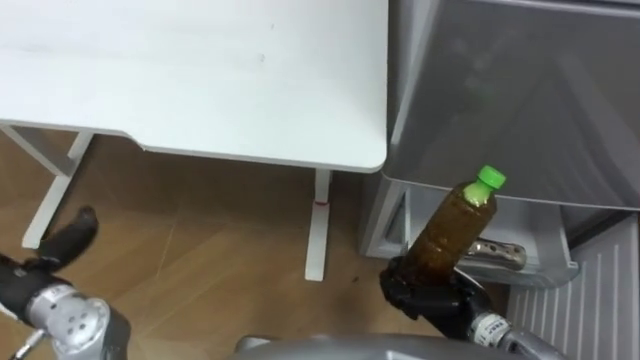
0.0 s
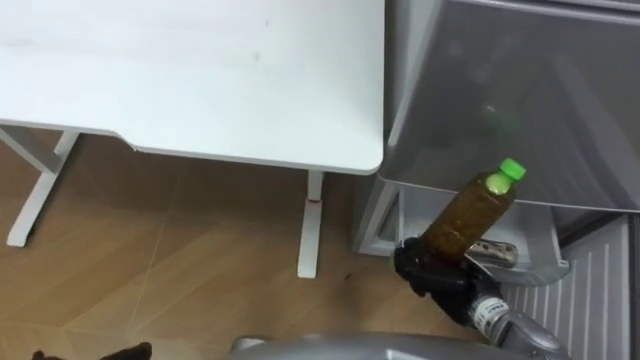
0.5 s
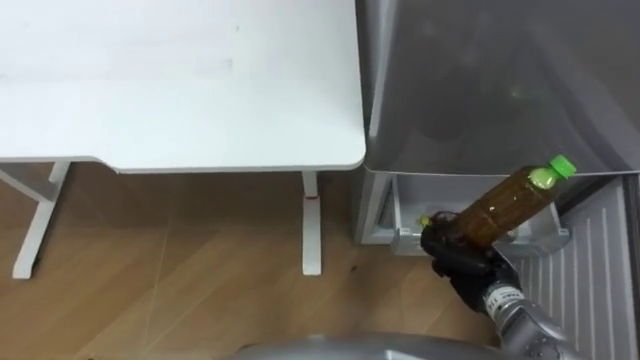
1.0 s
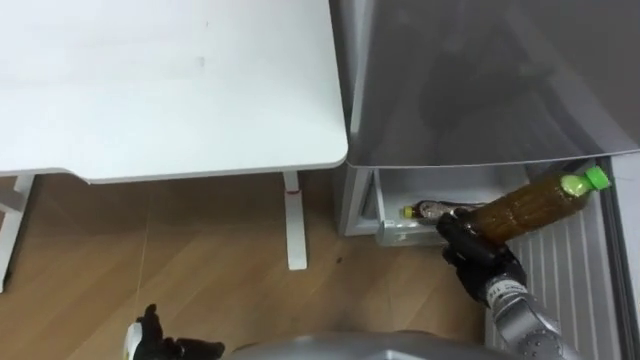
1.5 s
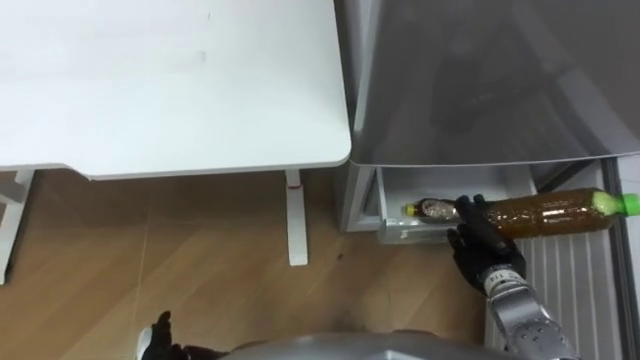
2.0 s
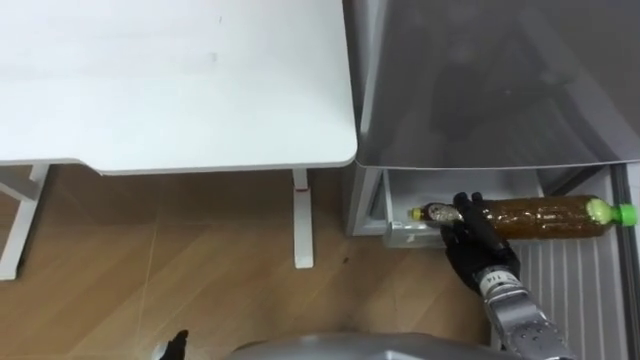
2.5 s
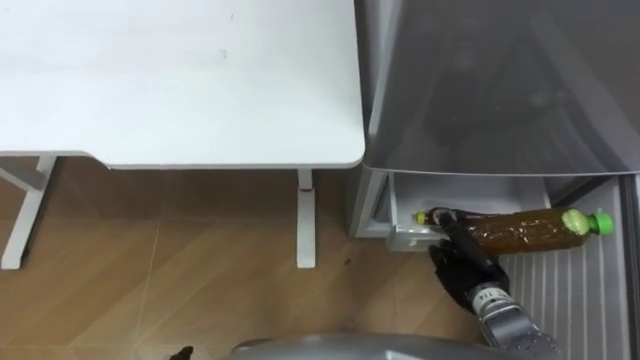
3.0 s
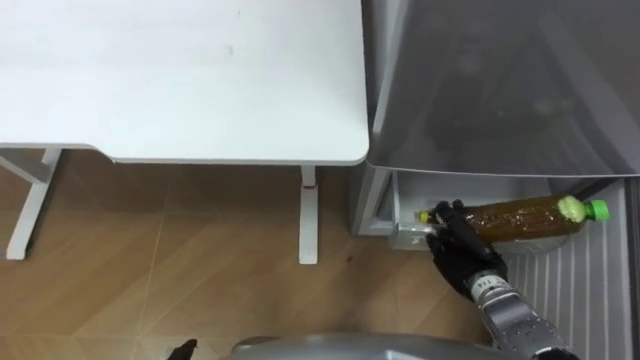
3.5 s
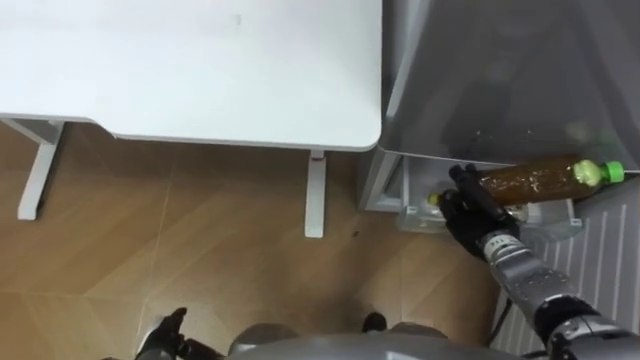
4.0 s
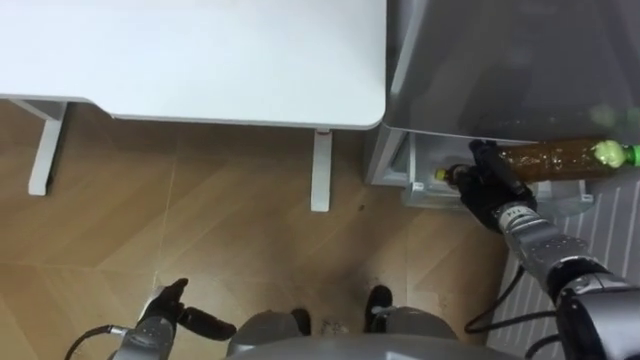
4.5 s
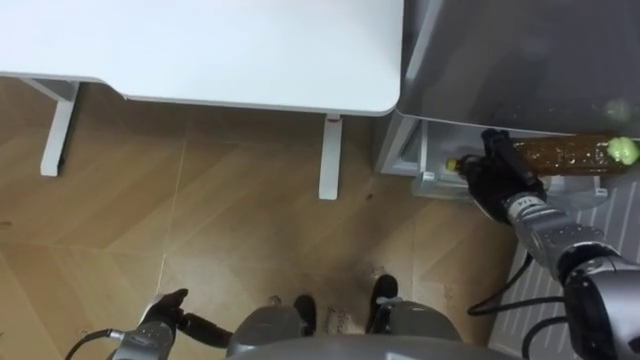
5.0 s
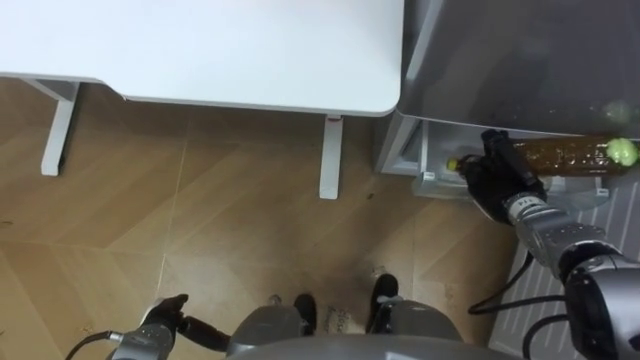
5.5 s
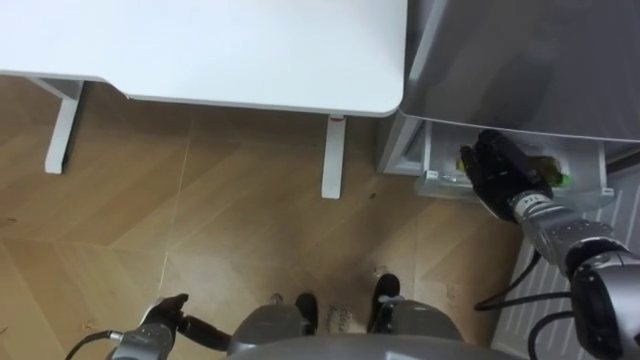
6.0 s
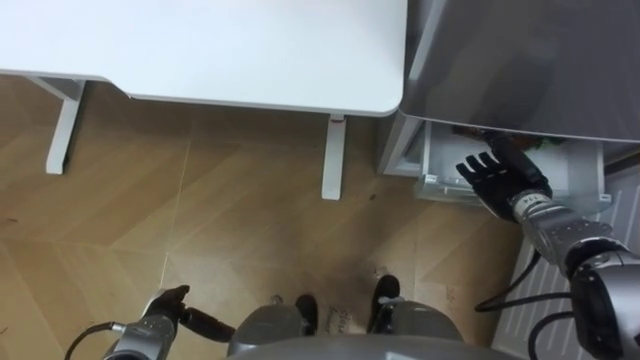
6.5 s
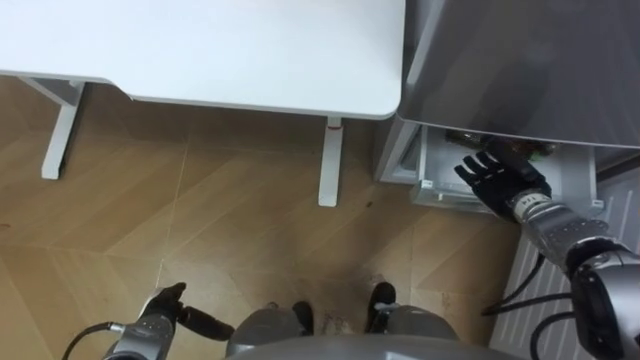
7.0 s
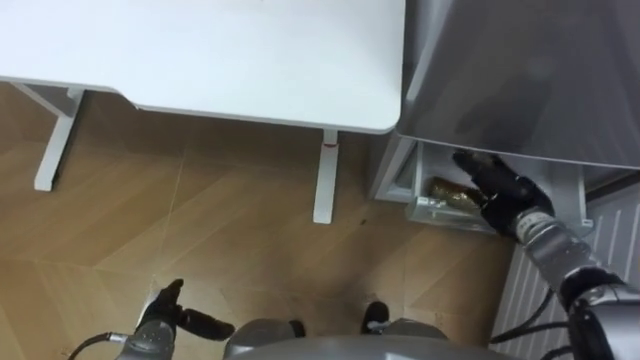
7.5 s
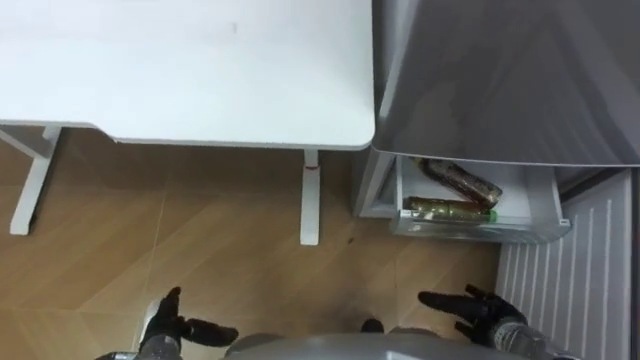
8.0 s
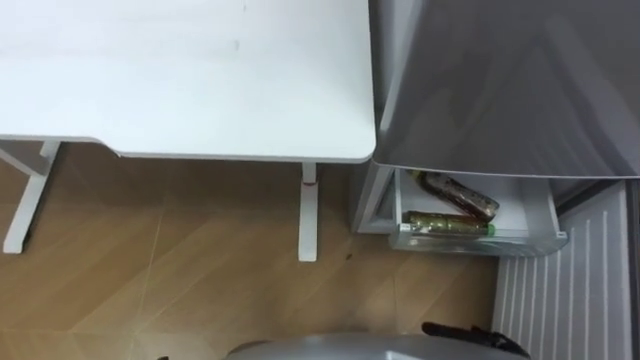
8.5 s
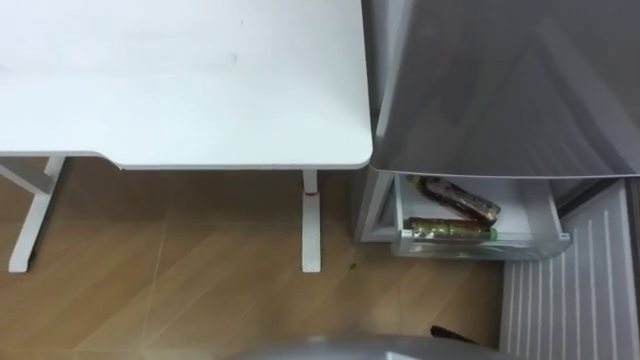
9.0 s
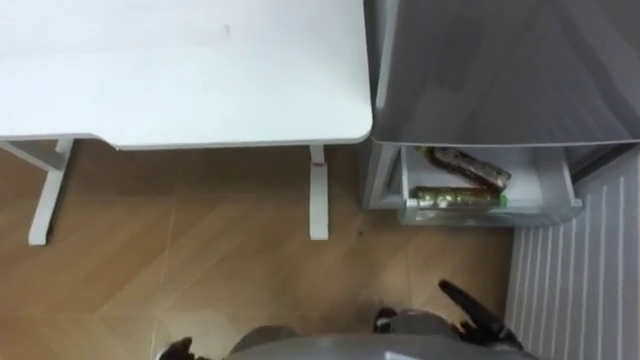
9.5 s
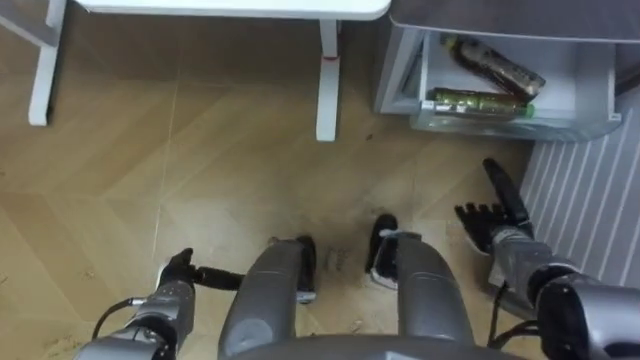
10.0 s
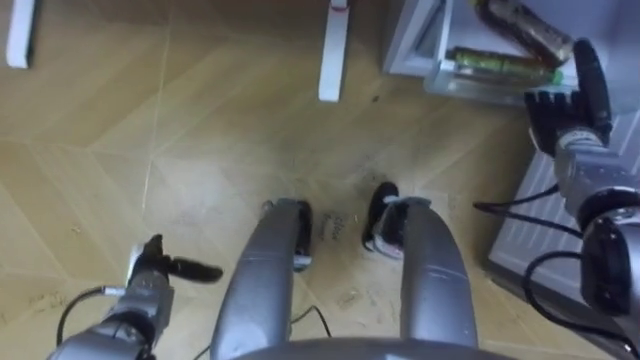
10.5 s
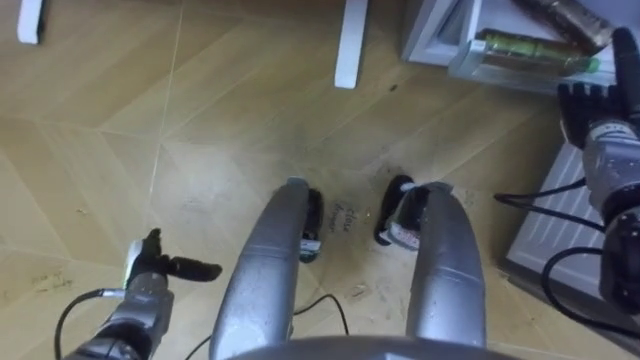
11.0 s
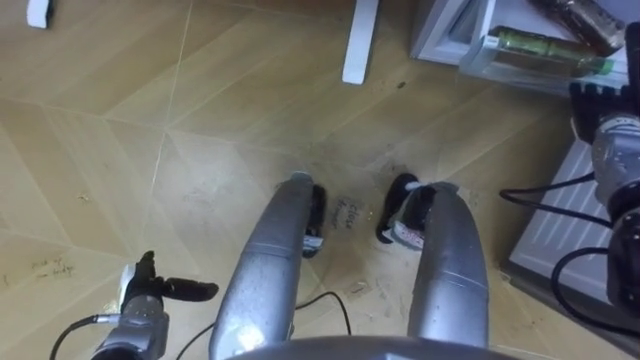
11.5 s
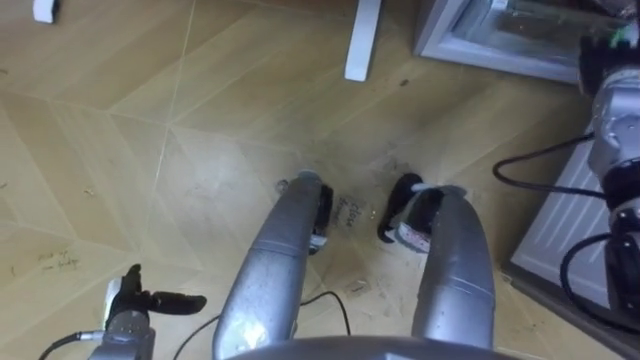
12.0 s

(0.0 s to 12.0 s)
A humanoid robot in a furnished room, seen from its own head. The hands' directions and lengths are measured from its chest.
Task of the whole recording: Place the drink on the table on the bottom shelf of the refrigerator, then close the drawer and the refrigerator door.
0.0 s - 2.0 s: The right hand is displaced to the right and forward by approximately 10 cm.
4.0 s - 6.0 s: The right hand moves forward, approximately 5 cm, and opens its fingers.
6.0 s - 8.0 s: The right hand travels backward and downward by about 20 cm.
10.0 s - 12.0 s: The right hand is displaced upward, forward and to the right by some 25 cm. The left hand is displaced to the left by some 5 cm.

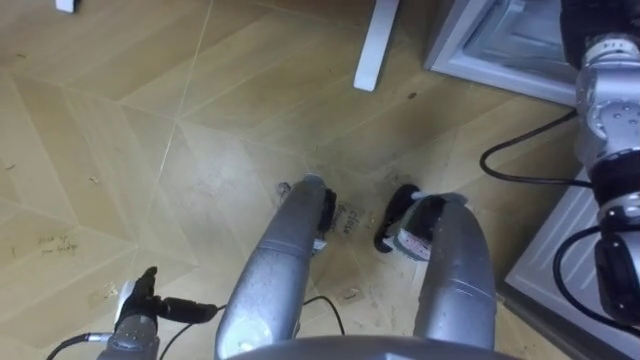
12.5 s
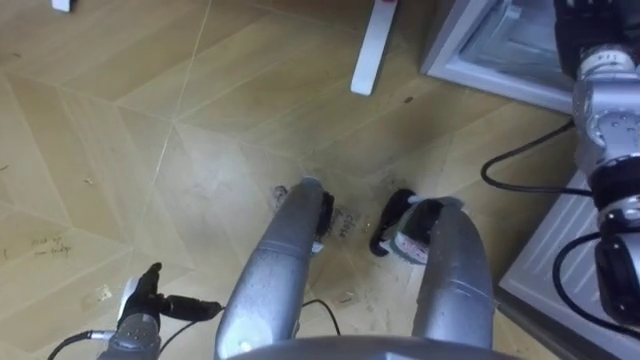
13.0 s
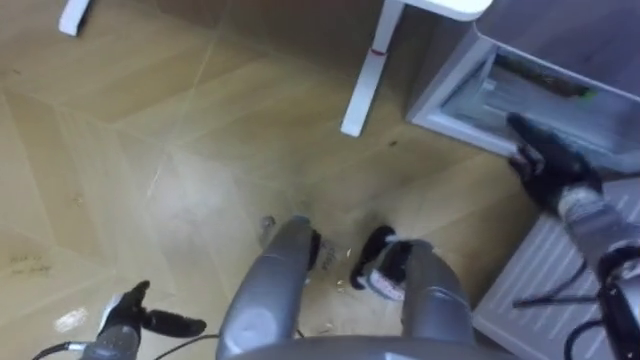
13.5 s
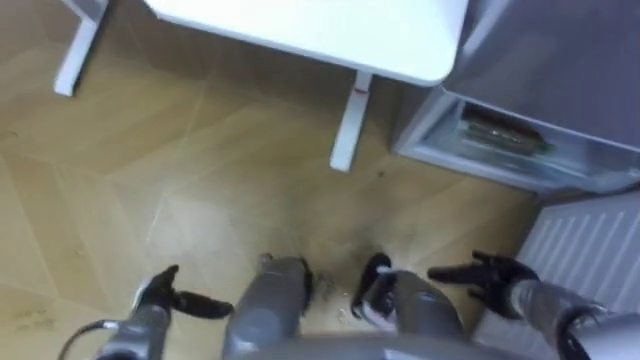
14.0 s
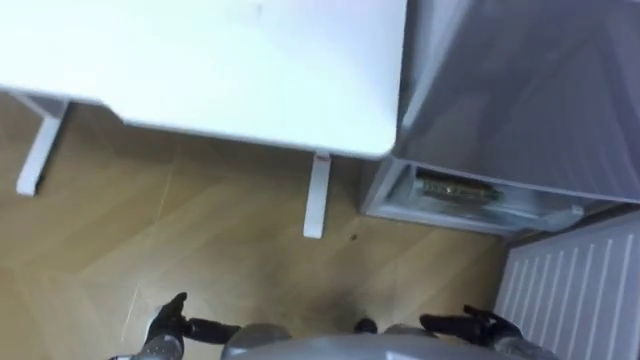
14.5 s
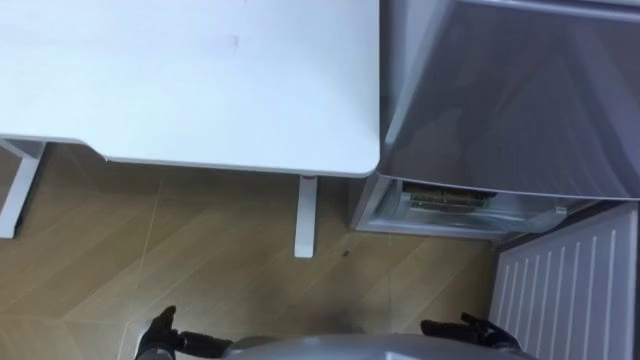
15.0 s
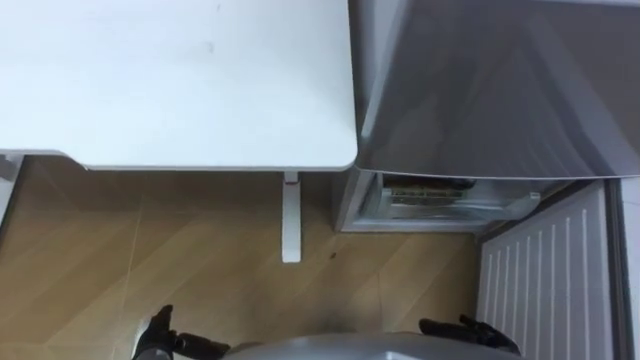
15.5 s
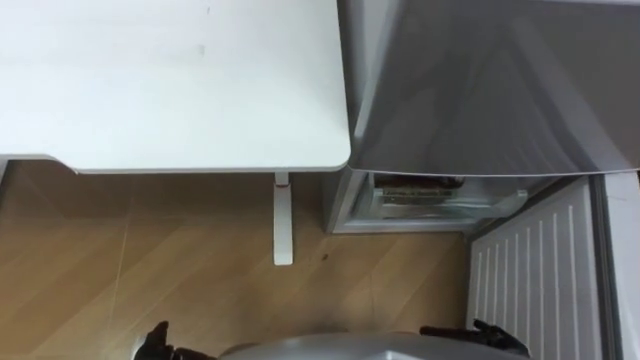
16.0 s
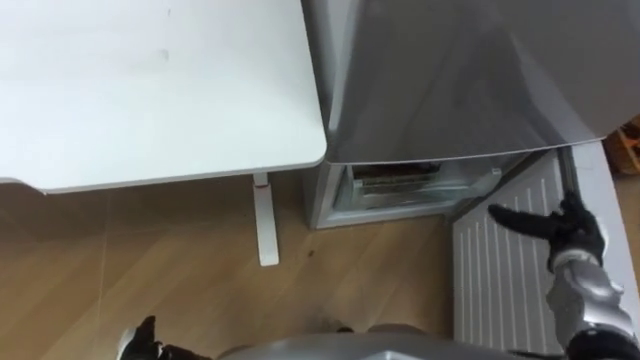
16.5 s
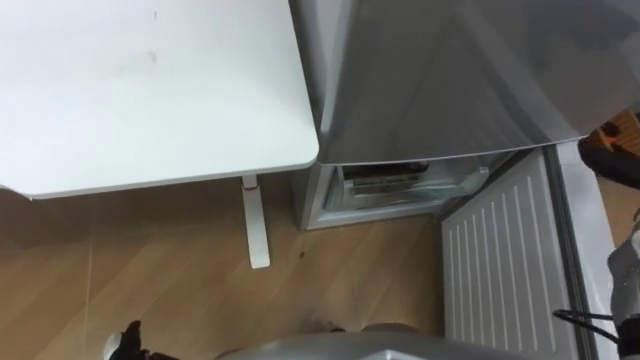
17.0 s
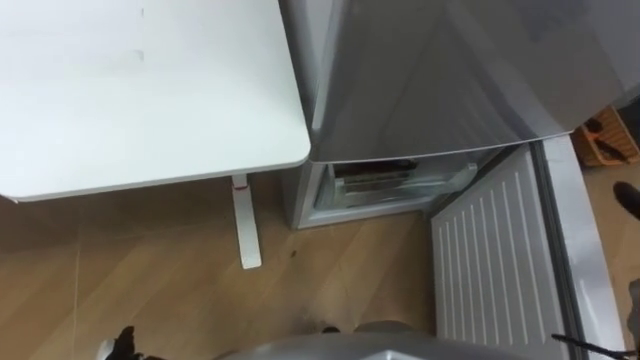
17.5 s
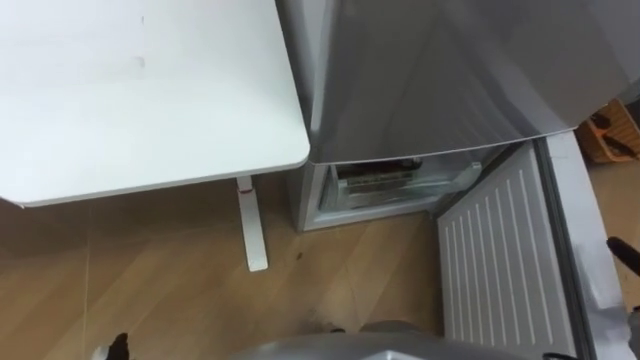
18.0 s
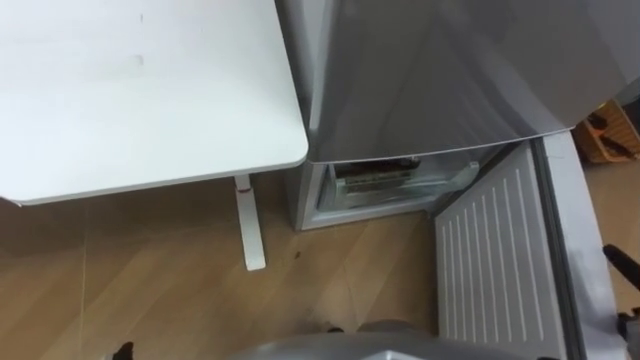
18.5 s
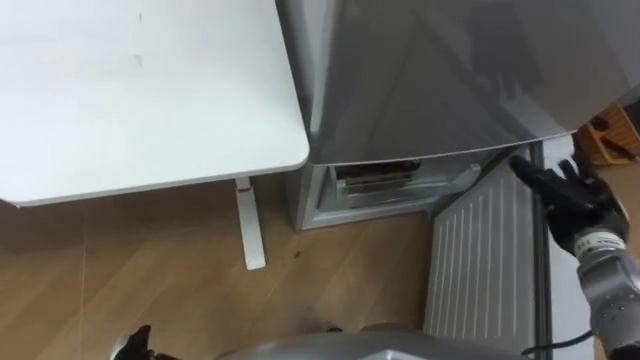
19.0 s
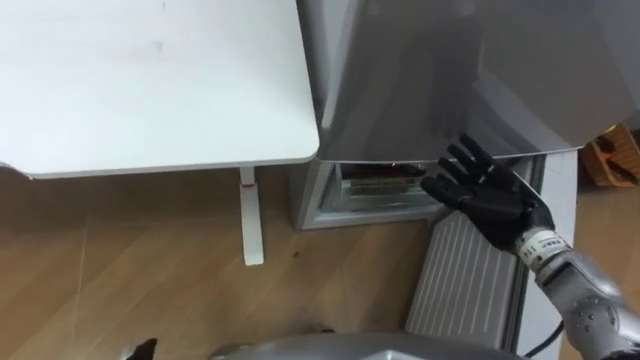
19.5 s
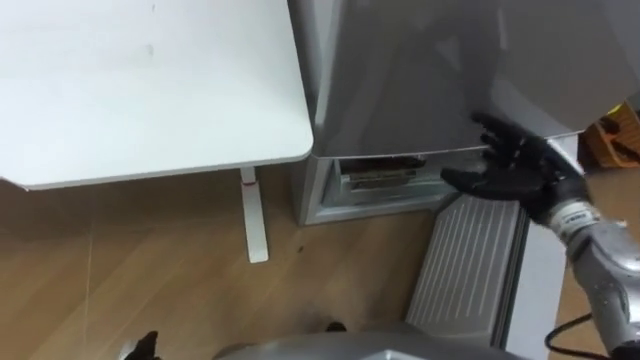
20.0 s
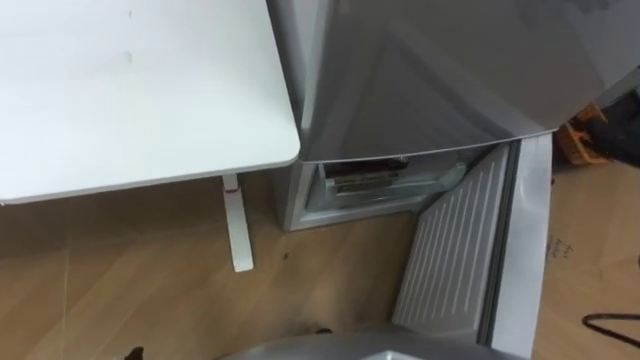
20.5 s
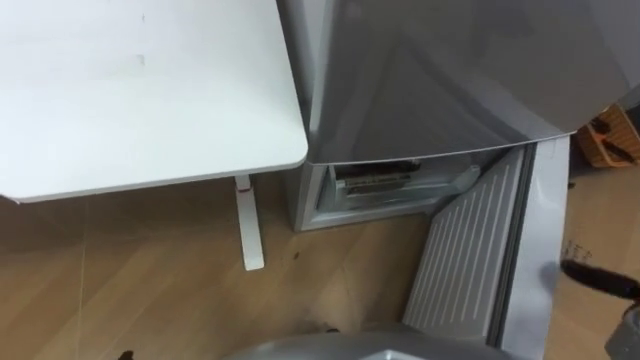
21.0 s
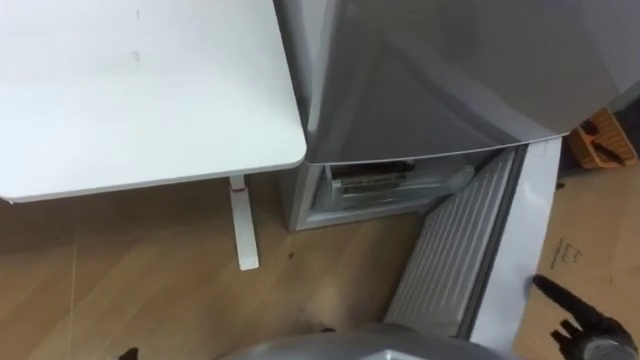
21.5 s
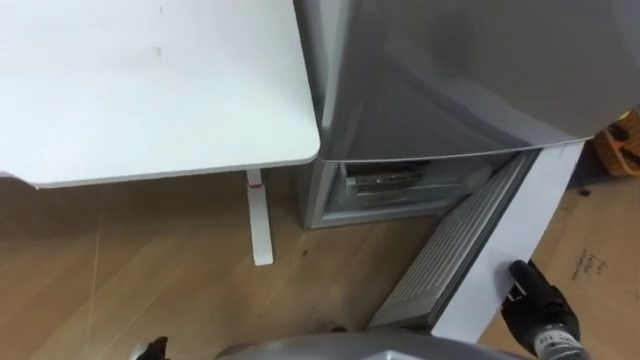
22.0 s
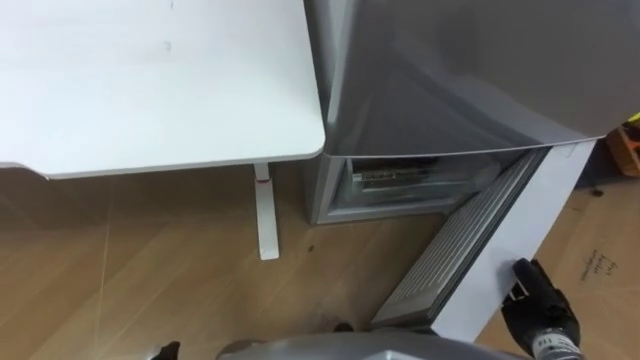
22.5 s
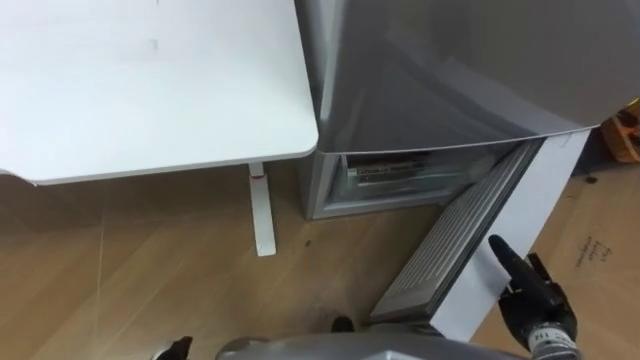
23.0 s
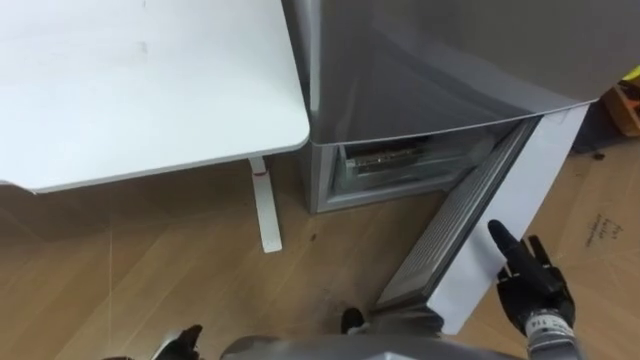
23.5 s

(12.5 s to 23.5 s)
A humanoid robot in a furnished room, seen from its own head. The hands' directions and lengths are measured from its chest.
Task of the whole recording: Place the drink on the table on the bottom shelf of the refrigerator, then close the drawer and the refrigerator door.
12.5 s - 14.5 s: The right hand goes approximately 40 cm backward and downward.
21.5 s - 23.5 s: The right hand heads to the left and forward, covering about 10 cm.
